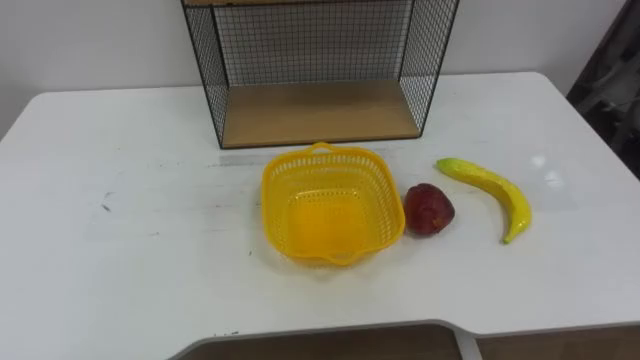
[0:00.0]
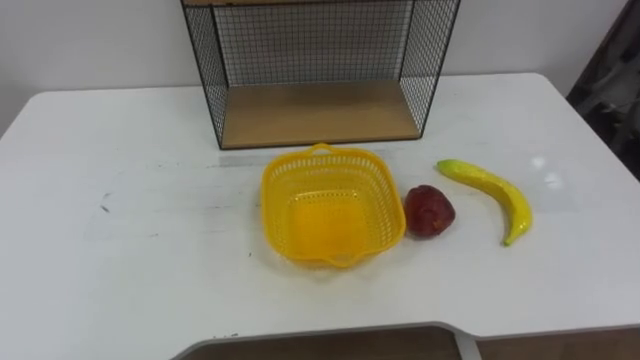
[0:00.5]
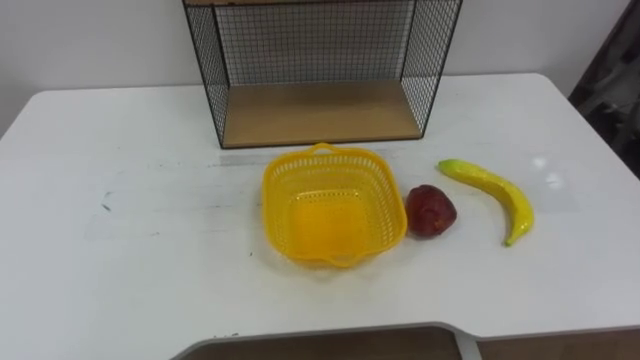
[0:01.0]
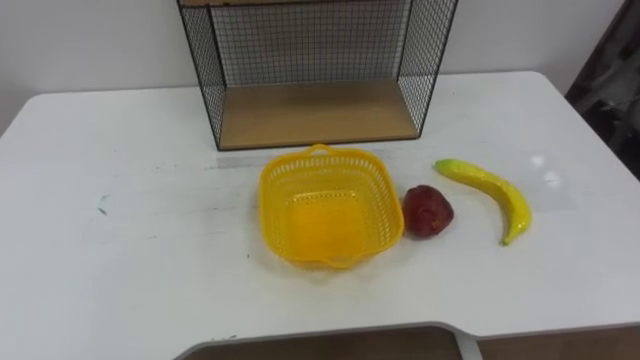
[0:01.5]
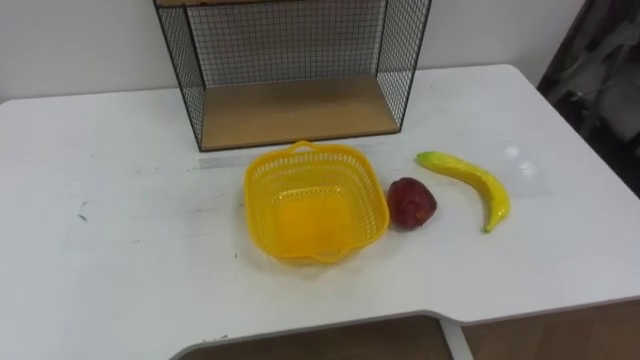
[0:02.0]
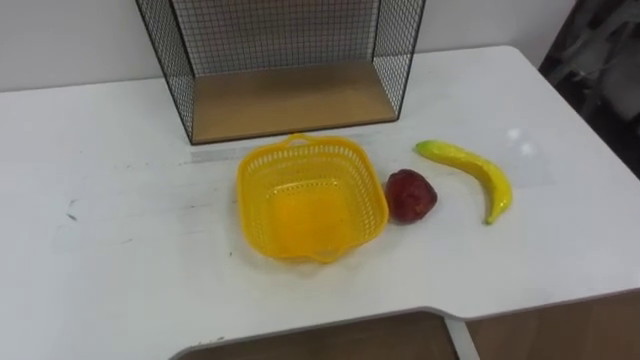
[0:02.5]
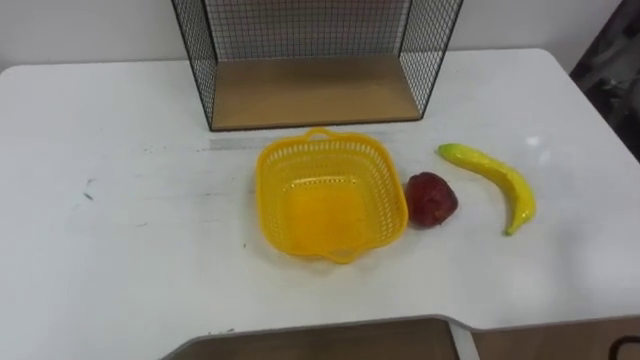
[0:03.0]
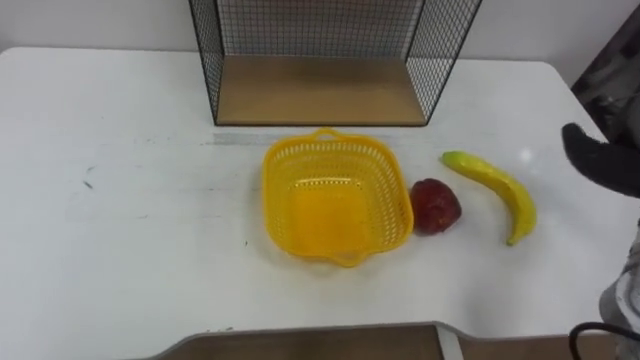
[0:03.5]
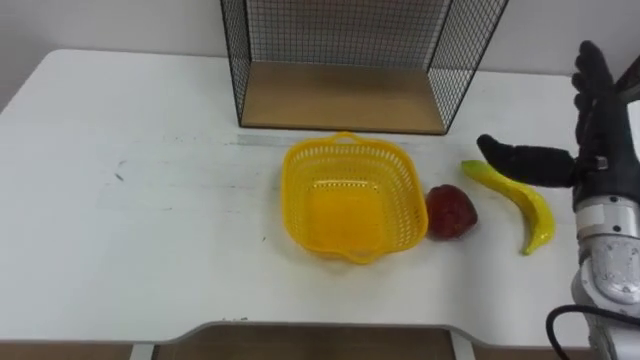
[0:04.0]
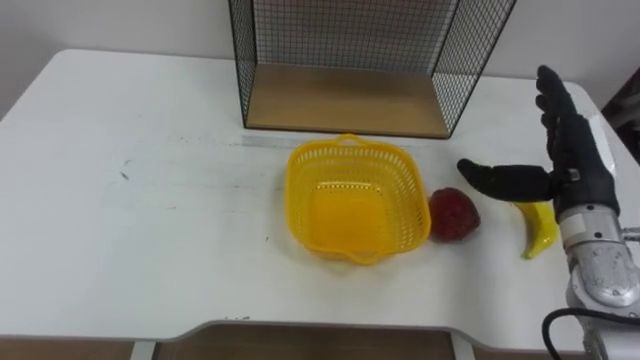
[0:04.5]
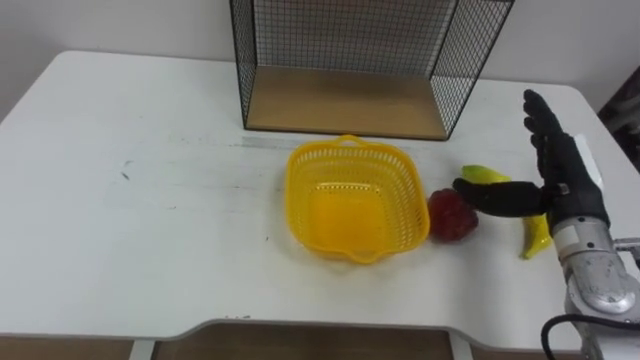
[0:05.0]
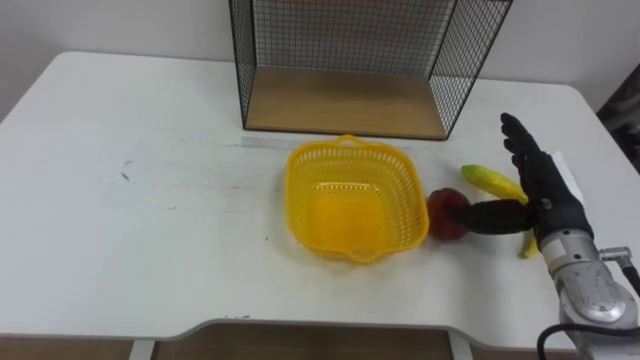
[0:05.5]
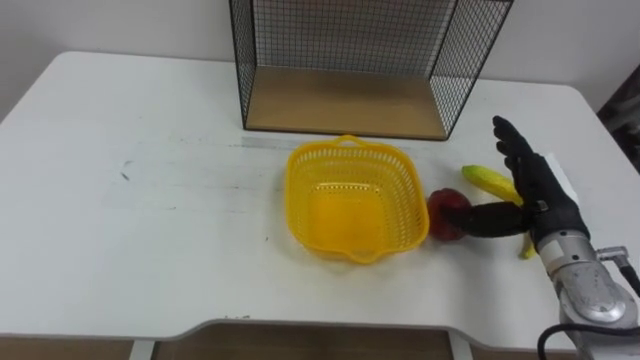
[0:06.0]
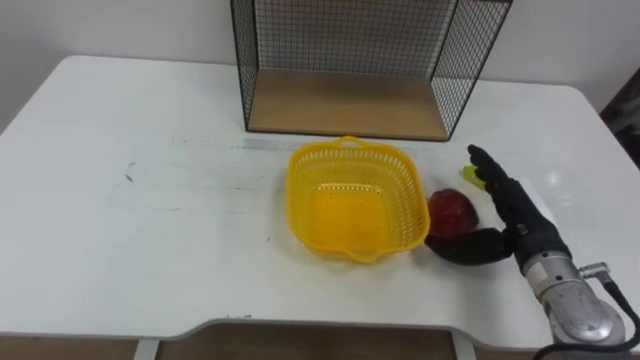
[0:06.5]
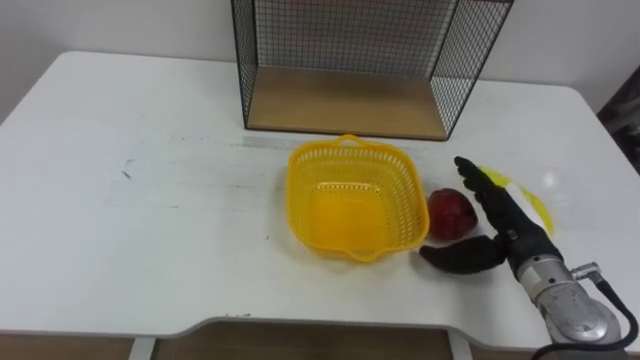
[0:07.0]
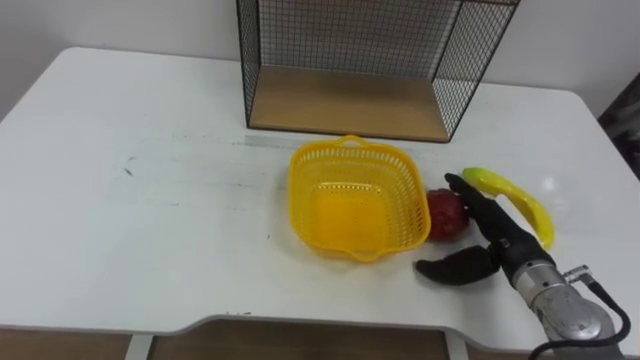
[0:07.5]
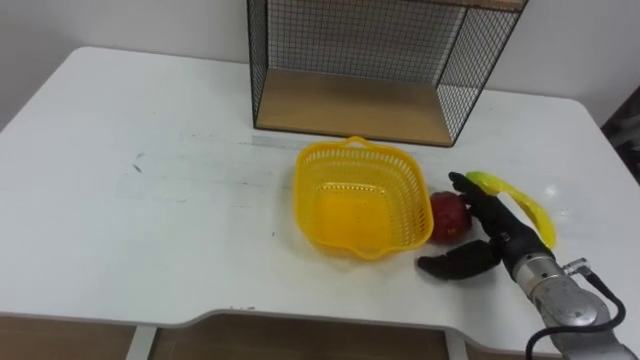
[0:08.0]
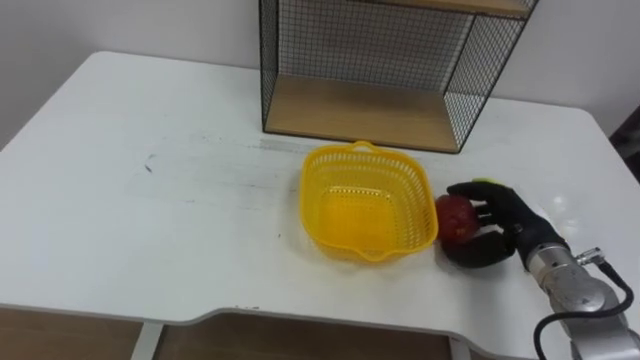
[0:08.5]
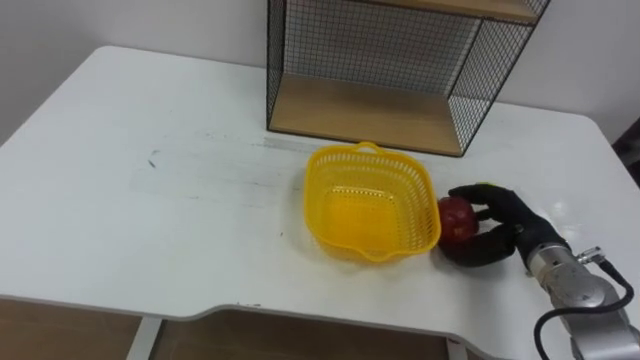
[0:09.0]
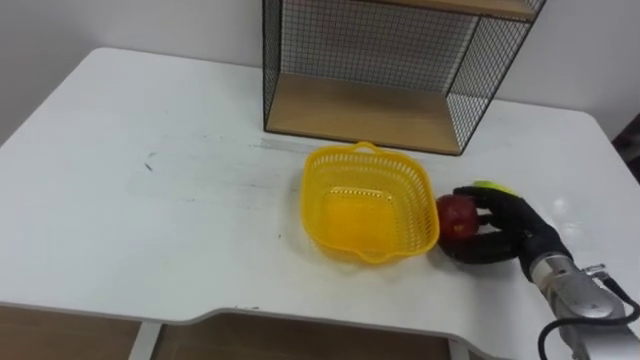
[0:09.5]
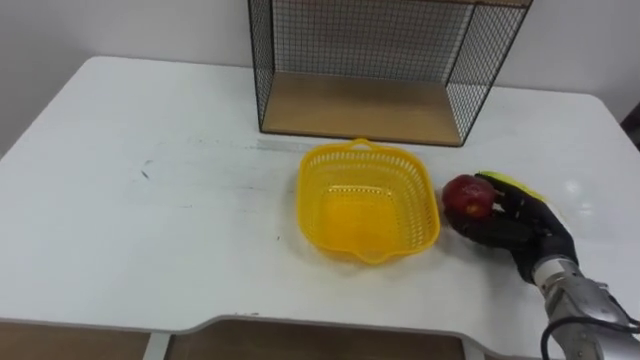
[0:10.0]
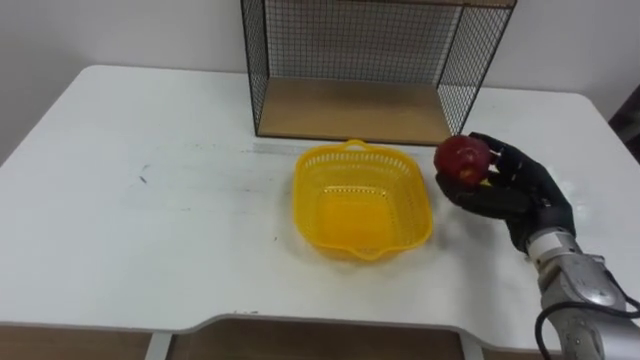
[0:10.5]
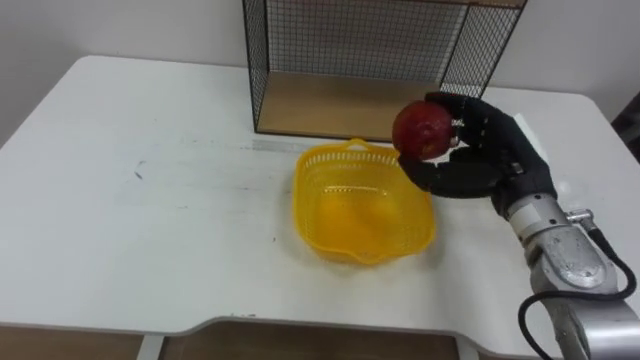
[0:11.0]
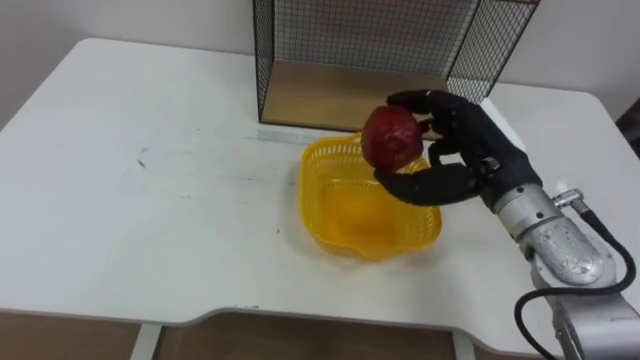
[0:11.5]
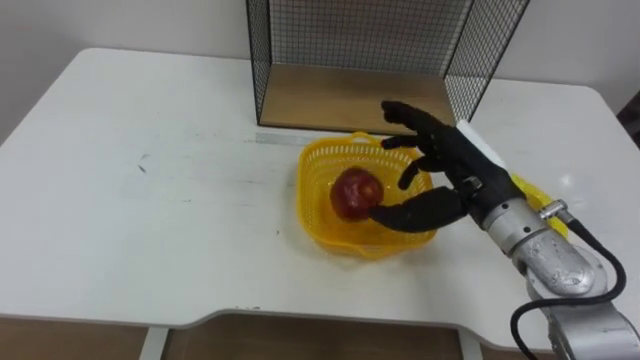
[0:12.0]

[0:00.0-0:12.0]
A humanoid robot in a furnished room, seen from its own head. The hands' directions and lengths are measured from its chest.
Task of the whole recording: Put the fruit on the table into the basket, then place the basket on the shelf.
4.0 to 6.0 s: The right hand is displaced downward by roughly 10 cm.
6.0 to 8.0 s: The right hand shifts approximately 5 cm downward.
8.0 to 10.0 s: The right hand closes up.
10.0 to 12.0 s: The right hand travels upward and to the left by about 15 cm.

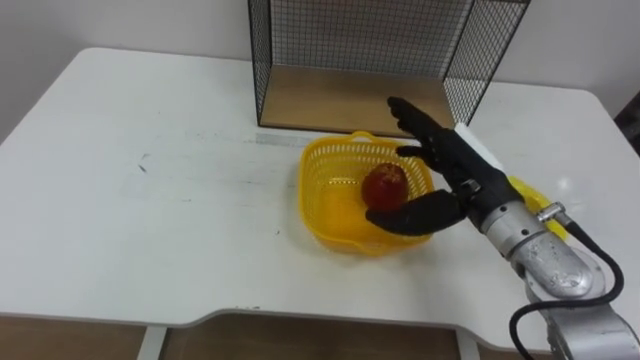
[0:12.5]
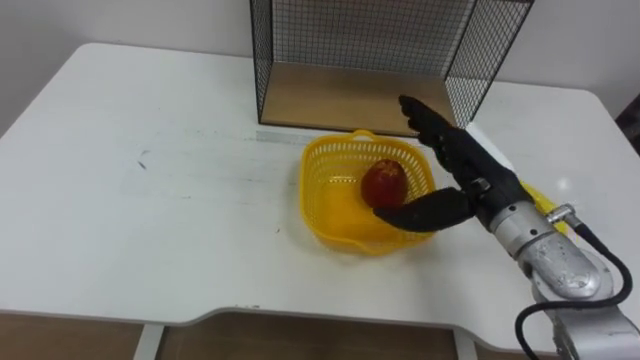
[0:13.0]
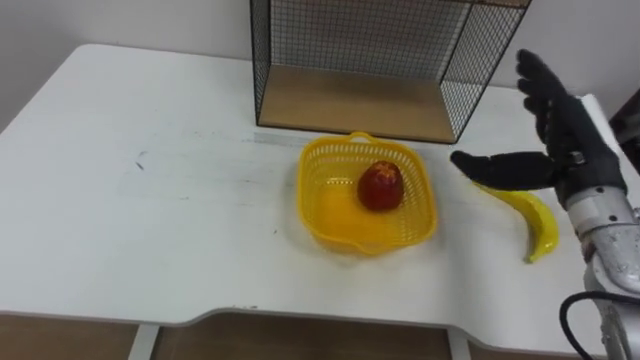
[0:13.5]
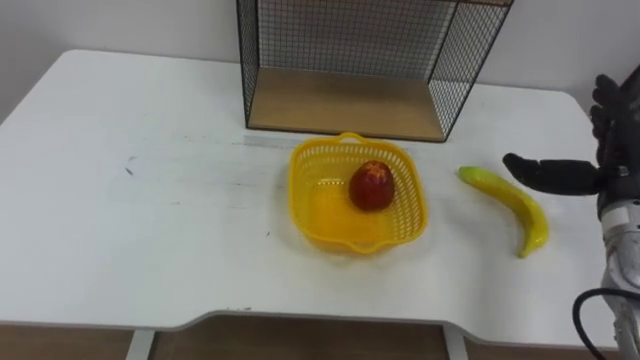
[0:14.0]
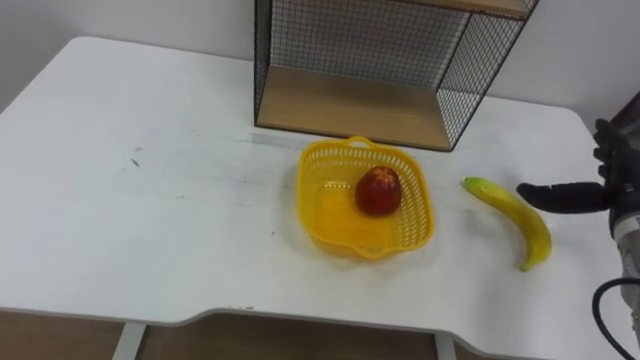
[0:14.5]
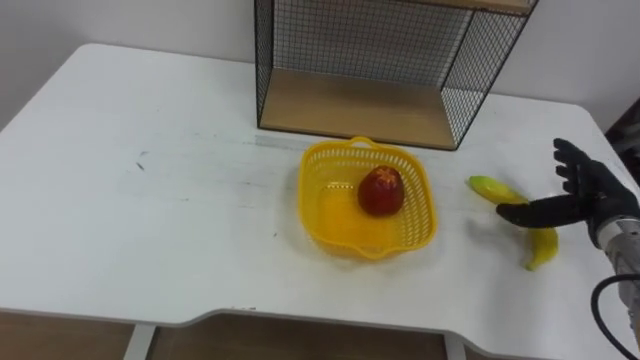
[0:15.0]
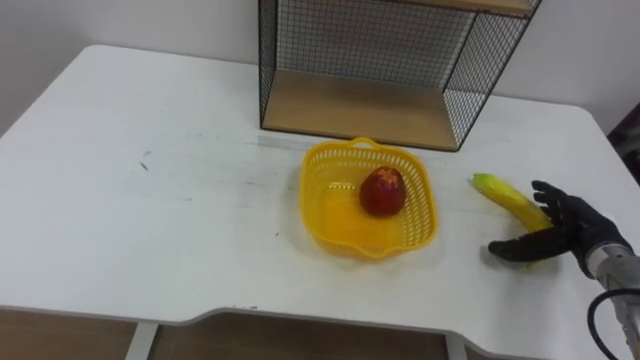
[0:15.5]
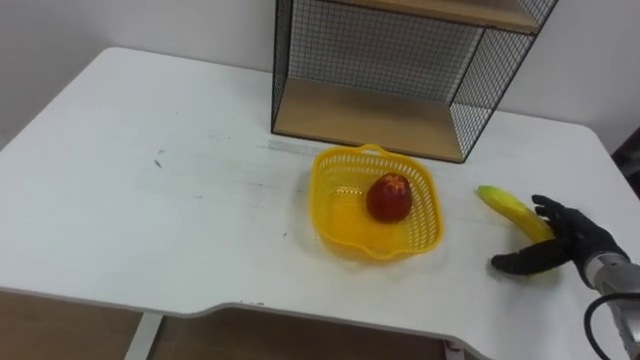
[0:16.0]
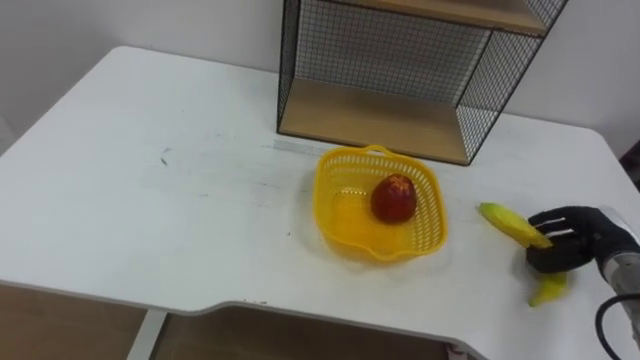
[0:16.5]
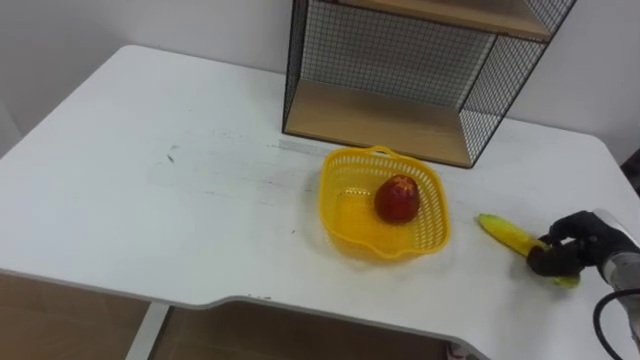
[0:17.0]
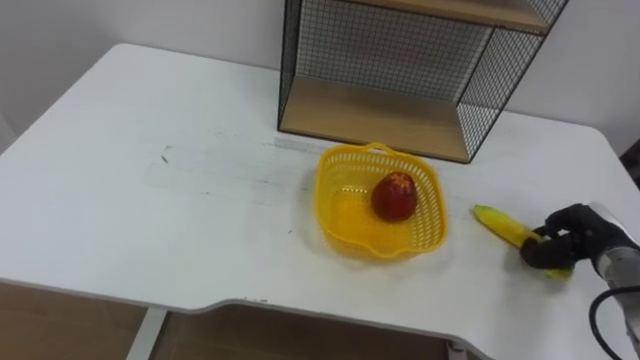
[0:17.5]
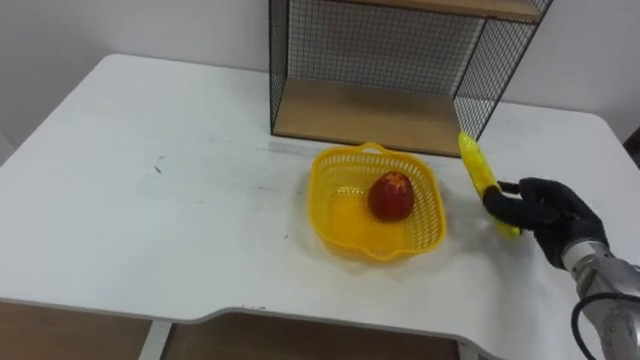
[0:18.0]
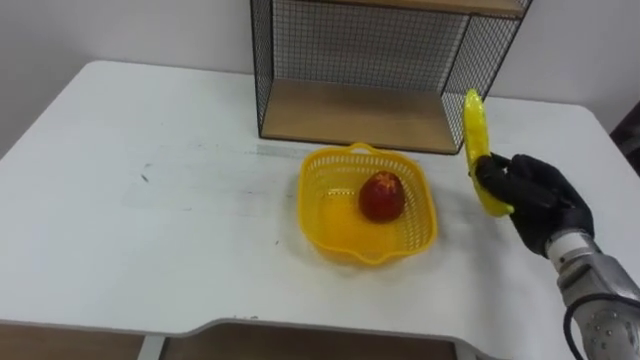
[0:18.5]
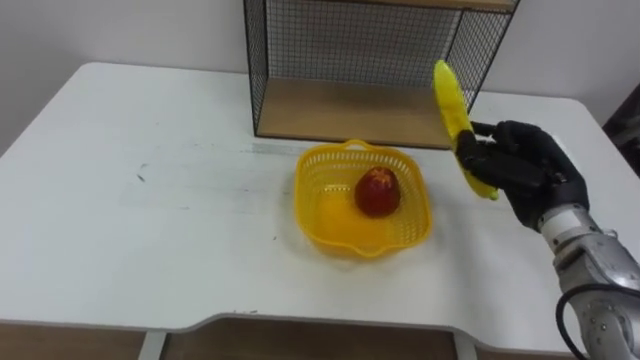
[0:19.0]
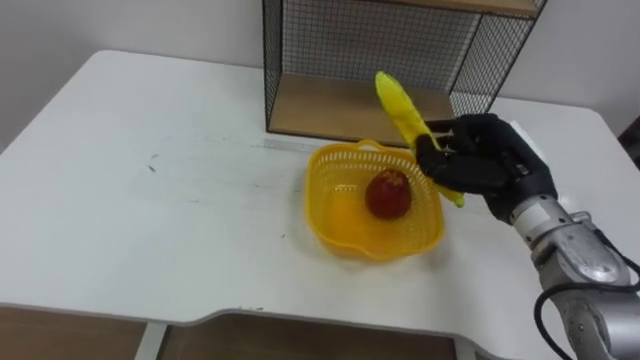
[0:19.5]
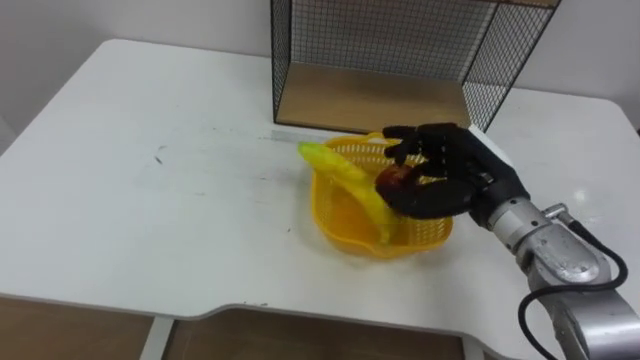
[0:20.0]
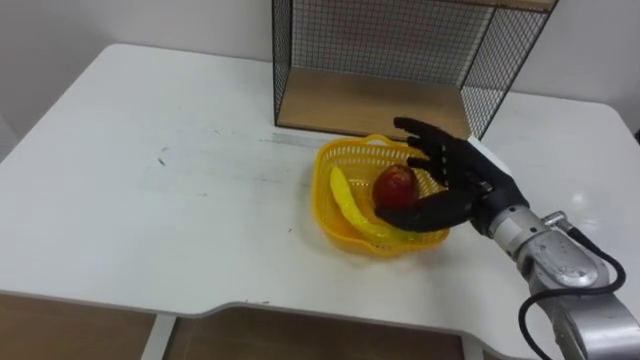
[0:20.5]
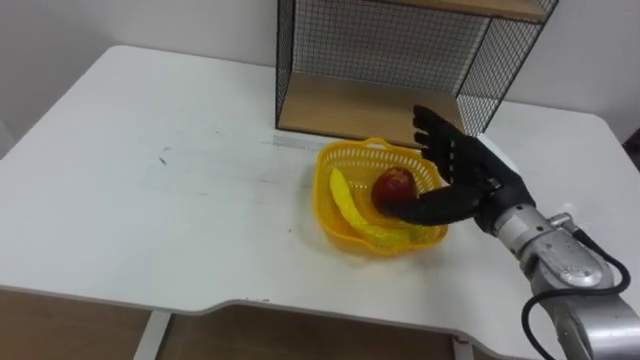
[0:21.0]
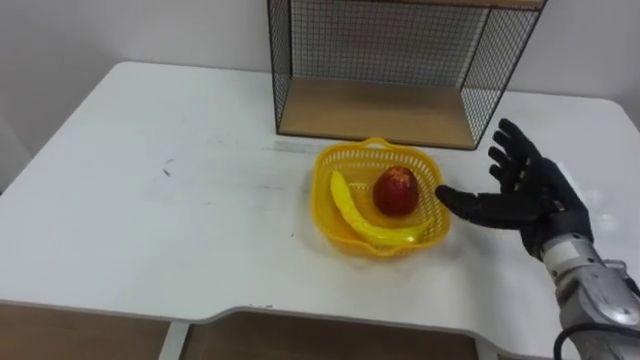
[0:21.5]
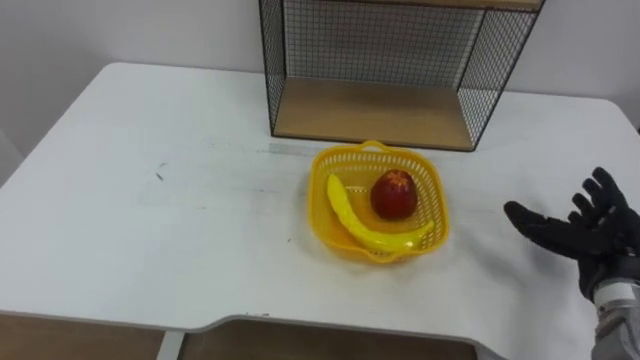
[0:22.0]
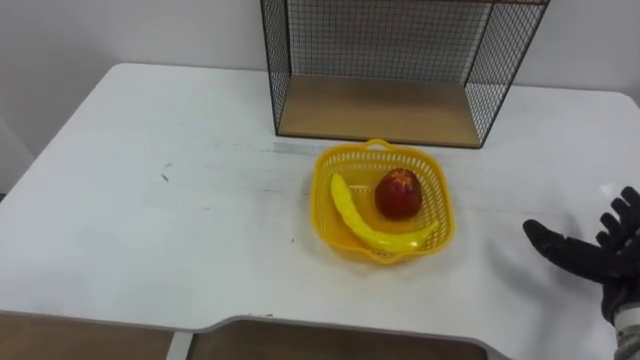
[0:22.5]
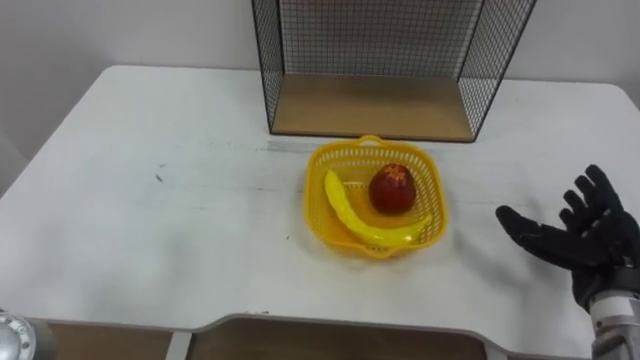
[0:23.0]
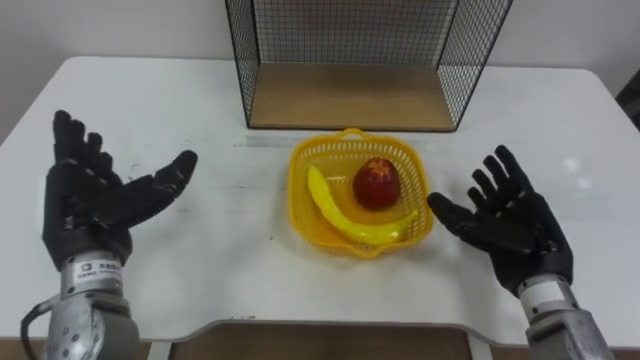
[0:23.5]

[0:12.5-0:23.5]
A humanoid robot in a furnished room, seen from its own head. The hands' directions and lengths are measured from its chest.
Task of the whole recording: Put the fruit on the table into the basket, then place the basket on the shelf.
14.5 to 16.0 s: The right hand moves downward, roughly 10 cm.
16.0 to 18.0 s: The right hand moves roughly 5 cm, and closes its fingers.
18.0 to 20.0 s: The right hand travels to the left and upward by approximately 15 cm.
20.0 to 21.5 s: The right hand travels to the right by some 10 cm, and opens up.
21.5 to 23.5 s: The right hand reaches about 10 cm to the right, then returns.
